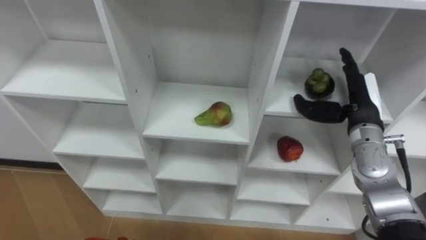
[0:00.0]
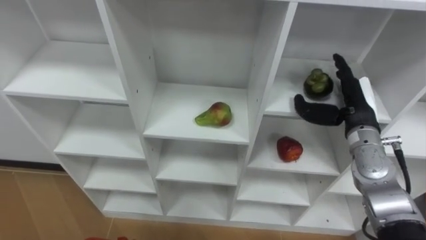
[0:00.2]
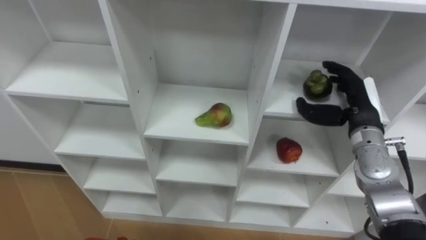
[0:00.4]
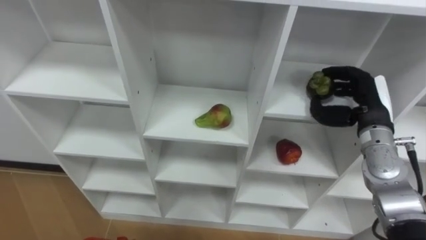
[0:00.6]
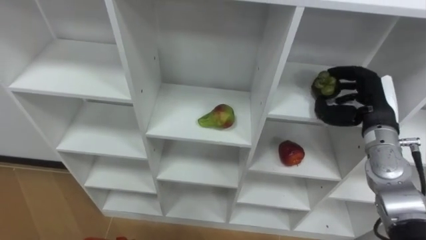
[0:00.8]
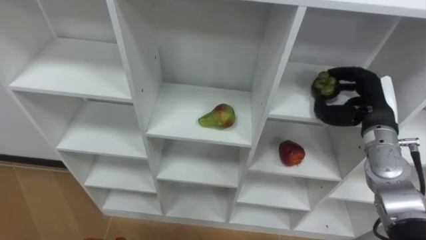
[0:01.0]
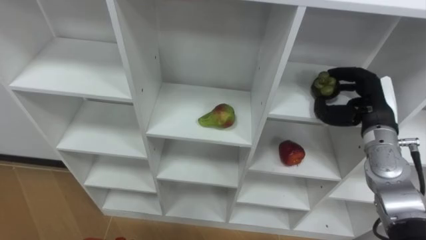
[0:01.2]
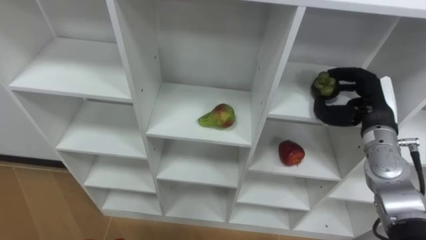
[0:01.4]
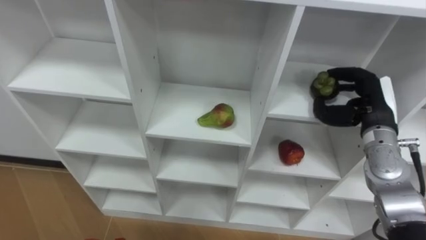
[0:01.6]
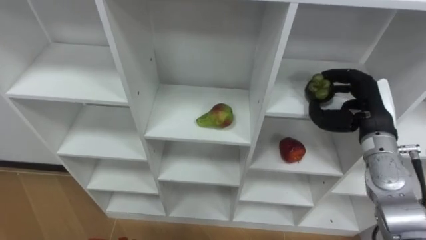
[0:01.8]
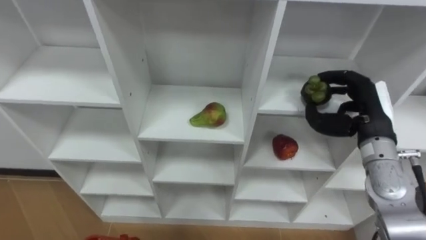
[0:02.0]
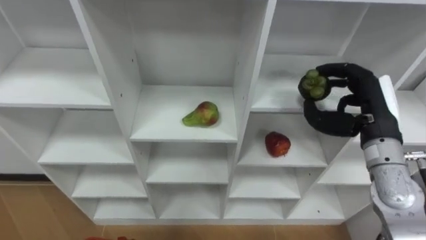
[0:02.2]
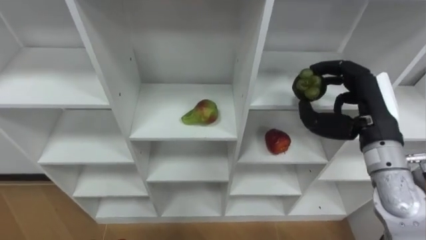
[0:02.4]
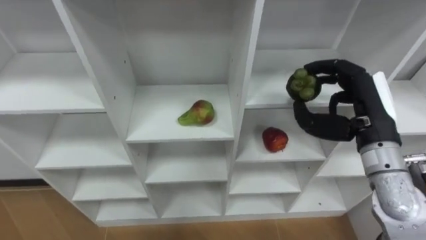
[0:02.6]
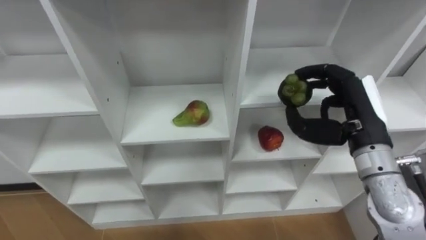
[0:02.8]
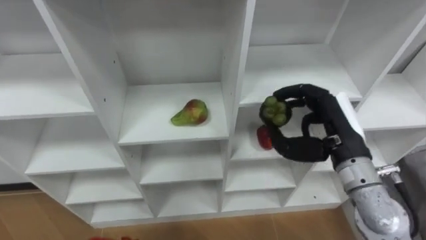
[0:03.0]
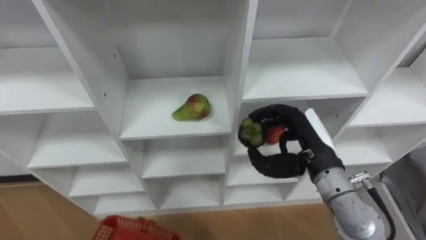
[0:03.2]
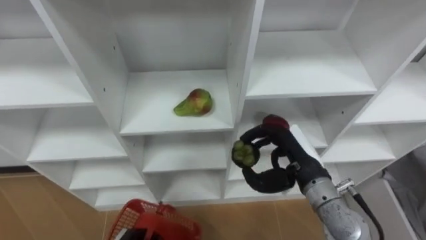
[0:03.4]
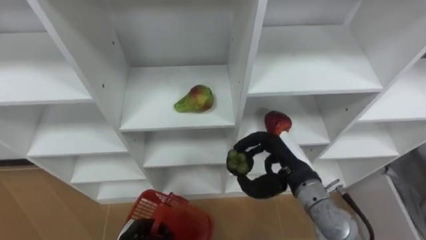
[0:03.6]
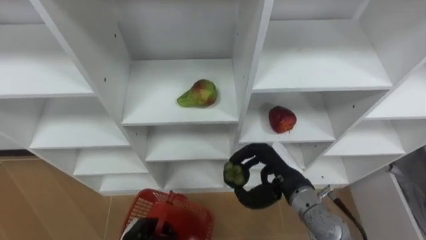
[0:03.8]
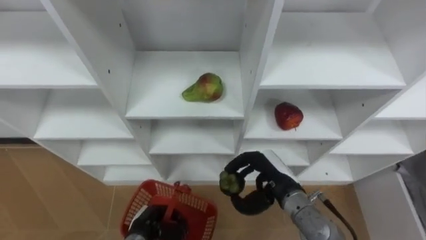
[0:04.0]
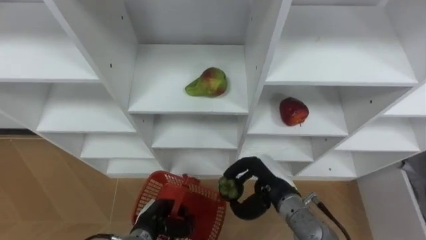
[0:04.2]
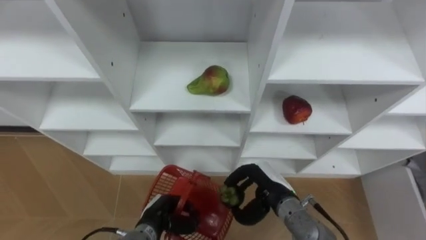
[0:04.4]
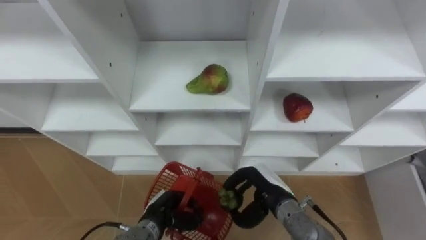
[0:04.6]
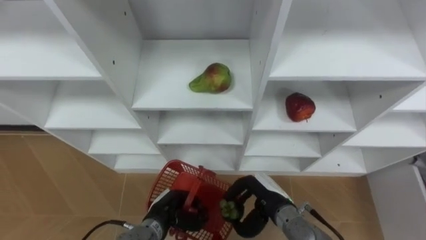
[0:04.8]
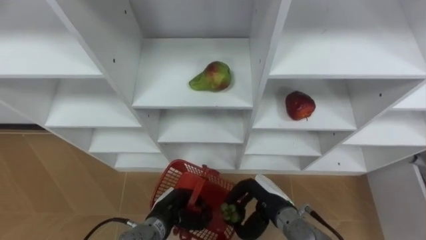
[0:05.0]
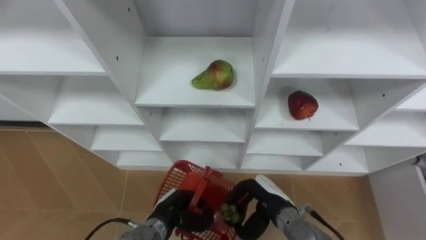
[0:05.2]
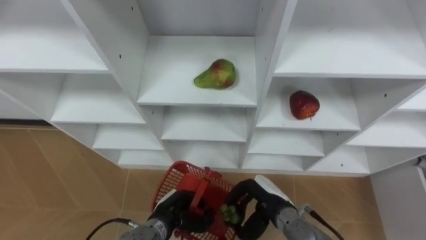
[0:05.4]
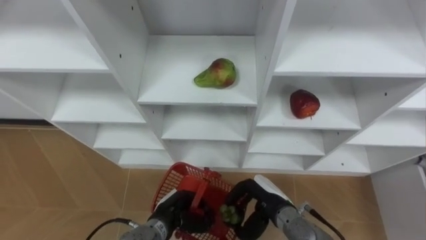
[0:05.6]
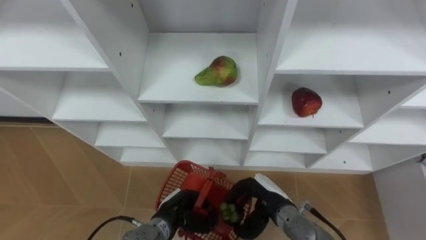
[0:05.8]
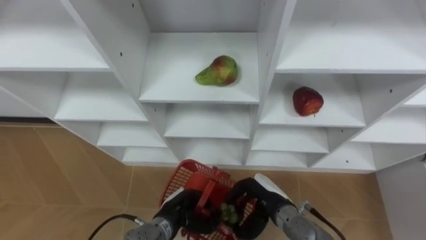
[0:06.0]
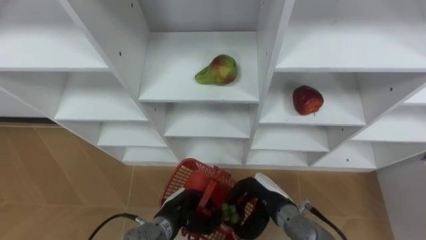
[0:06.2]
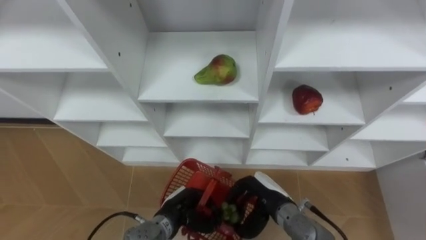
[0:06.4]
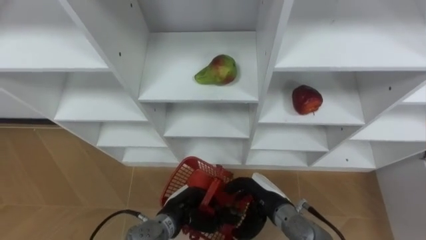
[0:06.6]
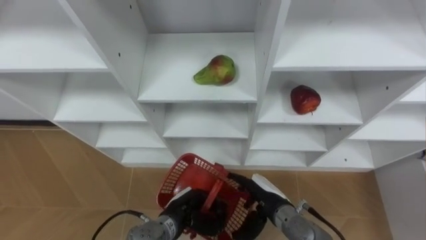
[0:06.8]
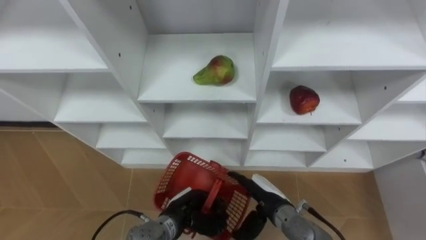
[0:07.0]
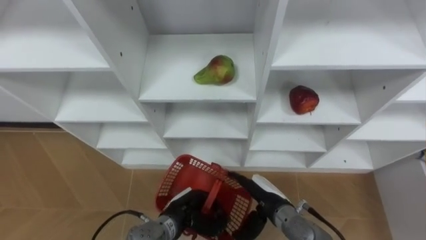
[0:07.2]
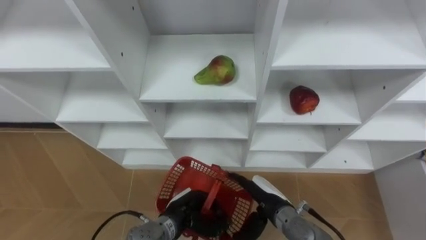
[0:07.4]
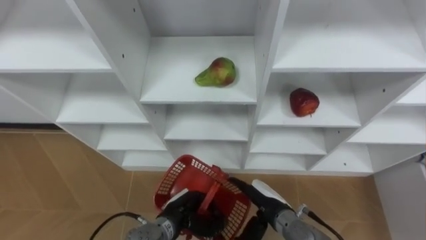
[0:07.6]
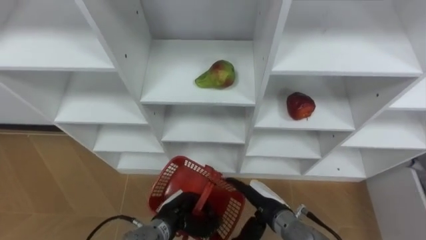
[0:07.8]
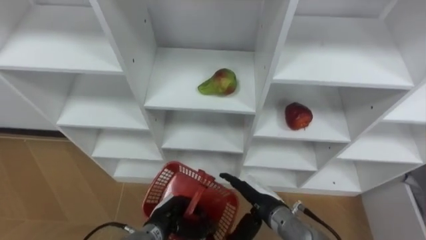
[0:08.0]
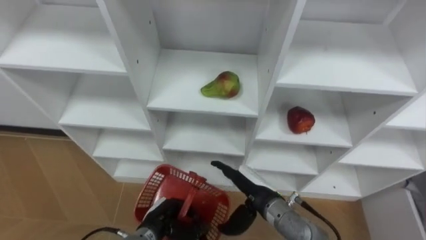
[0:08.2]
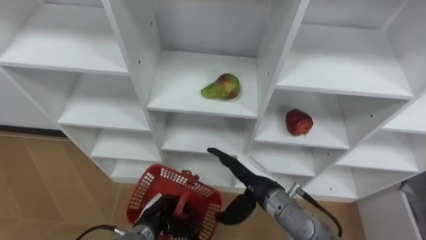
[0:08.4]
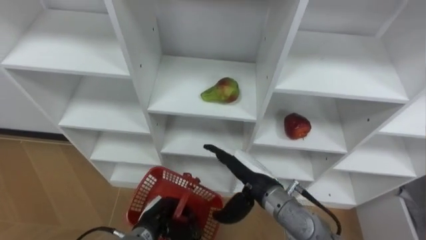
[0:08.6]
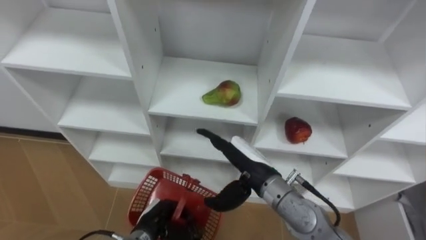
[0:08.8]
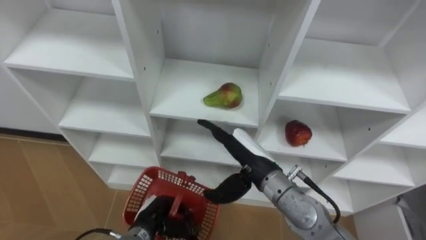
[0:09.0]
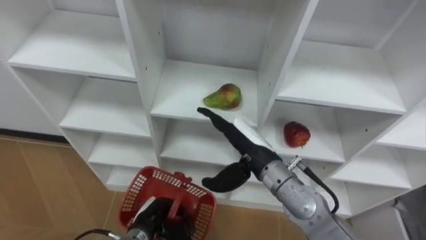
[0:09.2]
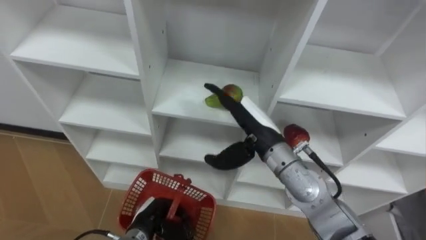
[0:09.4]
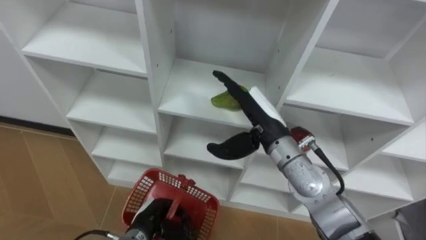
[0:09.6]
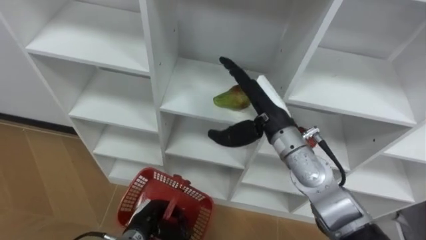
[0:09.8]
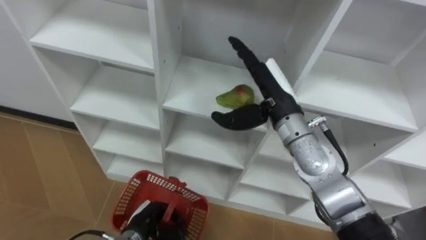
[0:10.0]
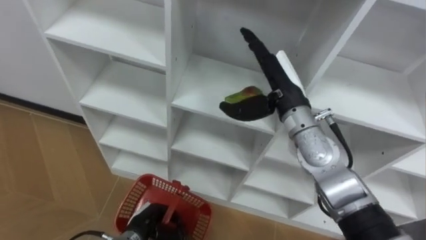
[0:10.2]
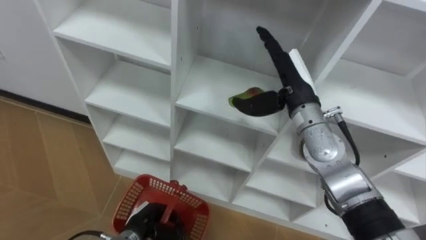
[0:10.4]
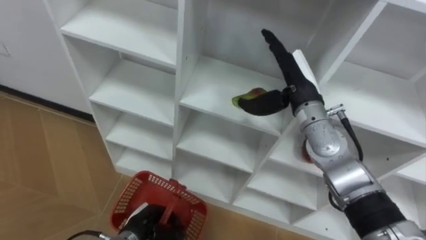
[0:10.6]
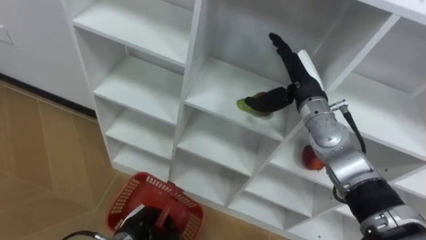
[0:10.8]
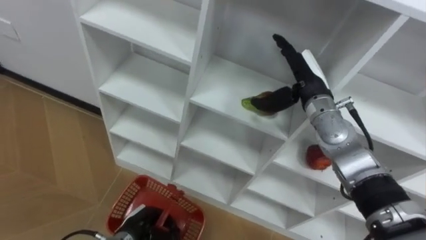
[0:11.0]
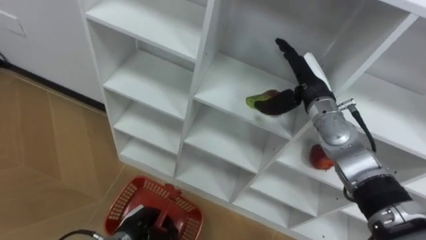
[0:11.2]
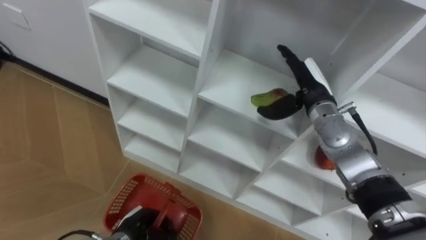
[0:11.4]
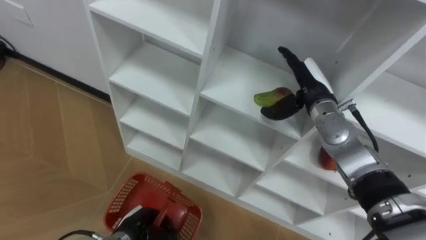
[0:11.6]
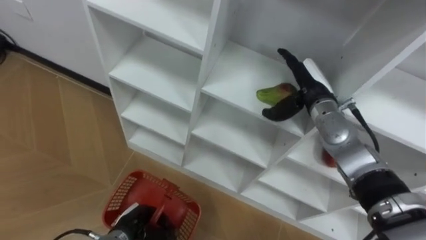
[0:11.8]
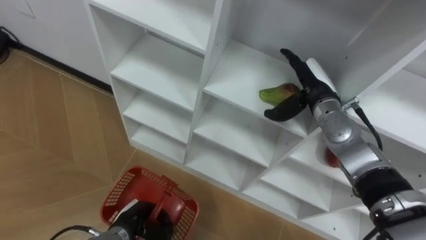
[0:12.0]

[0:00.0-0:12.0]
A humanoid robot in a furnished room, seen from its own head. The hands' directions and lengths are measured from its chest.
Task of the whole recording: Hold the basket and collect the fruits from 3 different cells of the closet into it.
0:00.0 to 0:01.6: The right hand closes its fingers.
0:01.6 to 0:03.0: The right hand goes approximately 10 cm to the left and backward.
0:03.0 to 0:04.4: The right hand travels downward and to the left by some 20 cm.
0:06.0 to 0:07.6: The right hand opens its fingers.
0:07.6 to 0:09.0: The left hand goes some 5 cm to the left. The right hand goes approximately 15 cm upward.
0:09.0 to 0:10.4: The right hand heads forward, upward and to the right, covering roughly 15 cm.
0:10.4 to 0:12.0: The right hand is displaced to the right by some 5 cm.

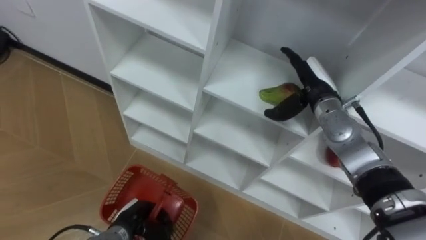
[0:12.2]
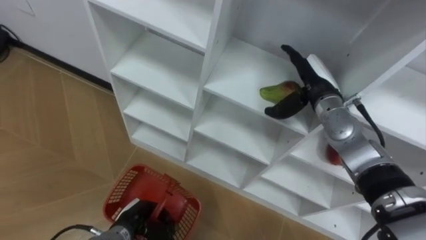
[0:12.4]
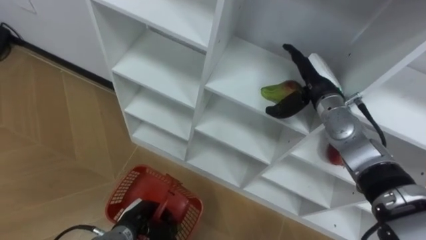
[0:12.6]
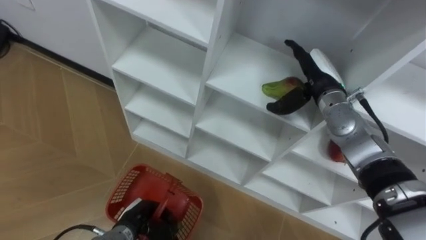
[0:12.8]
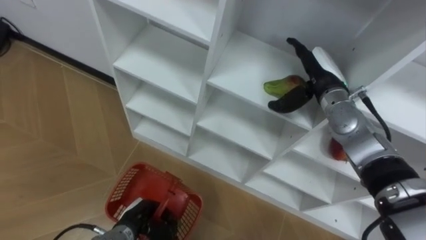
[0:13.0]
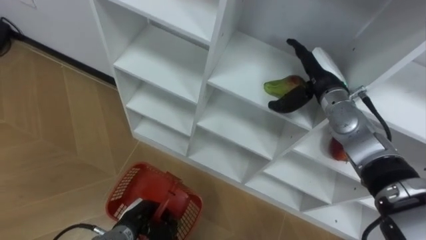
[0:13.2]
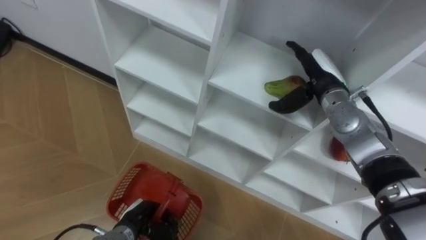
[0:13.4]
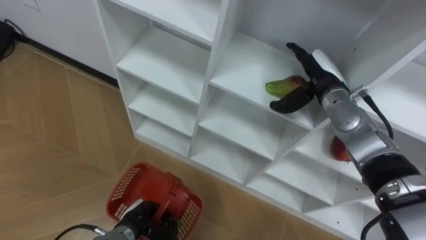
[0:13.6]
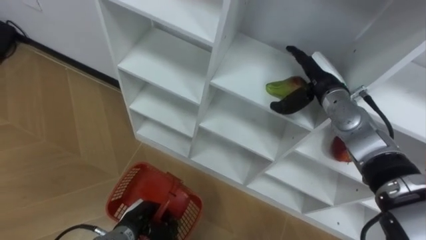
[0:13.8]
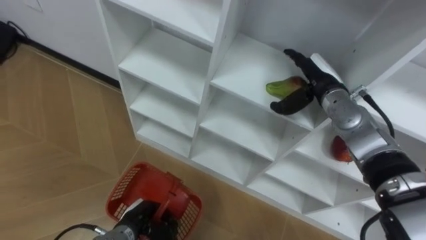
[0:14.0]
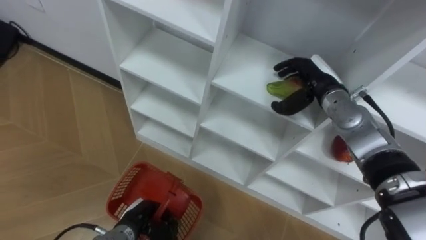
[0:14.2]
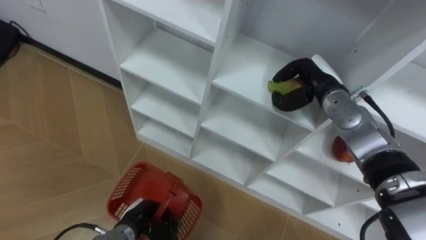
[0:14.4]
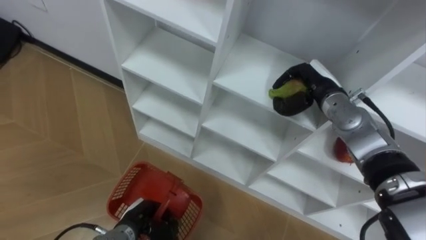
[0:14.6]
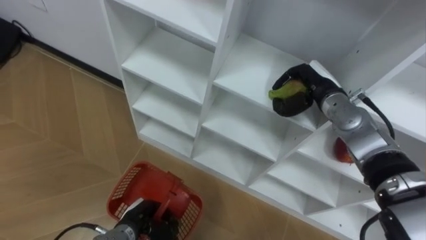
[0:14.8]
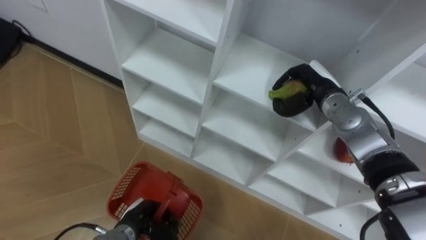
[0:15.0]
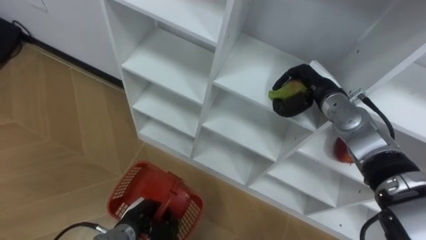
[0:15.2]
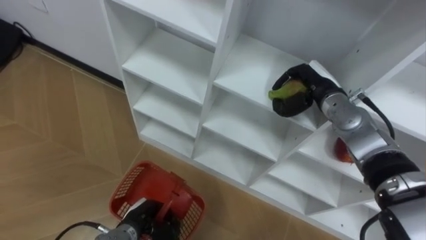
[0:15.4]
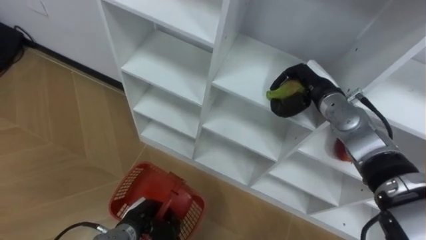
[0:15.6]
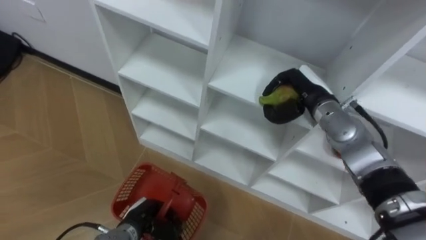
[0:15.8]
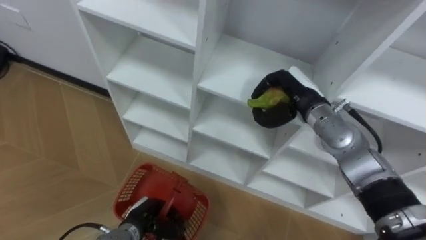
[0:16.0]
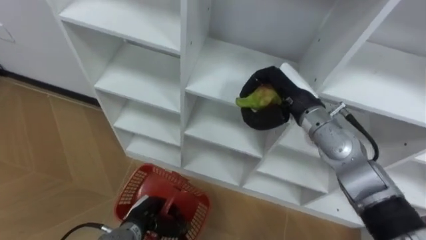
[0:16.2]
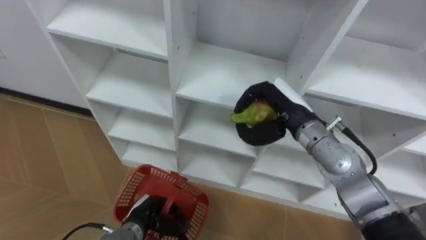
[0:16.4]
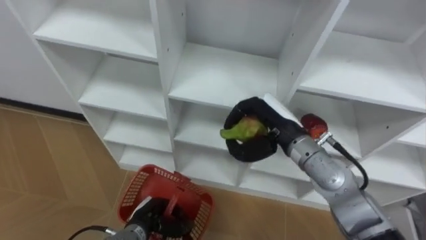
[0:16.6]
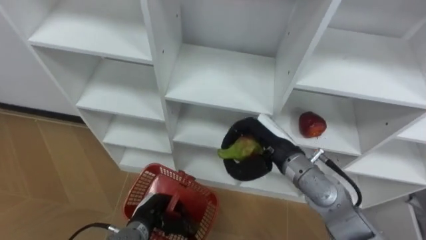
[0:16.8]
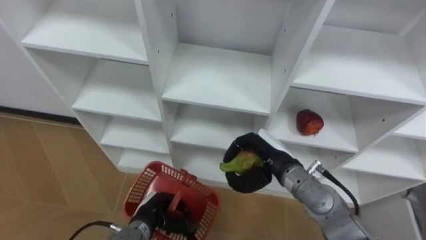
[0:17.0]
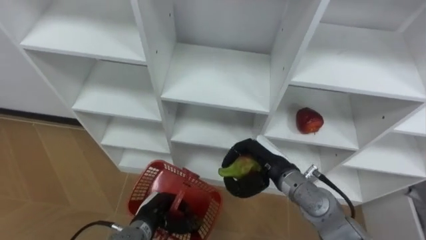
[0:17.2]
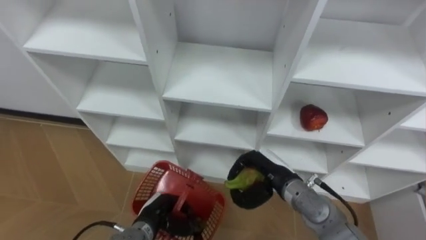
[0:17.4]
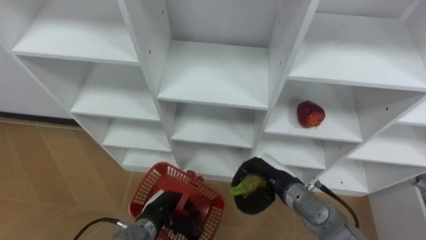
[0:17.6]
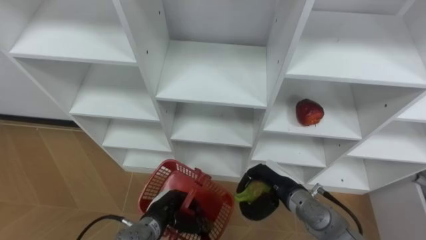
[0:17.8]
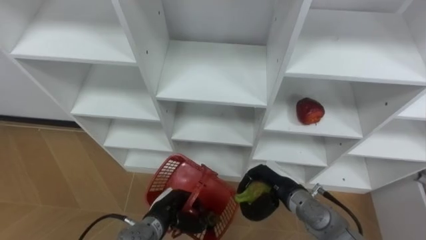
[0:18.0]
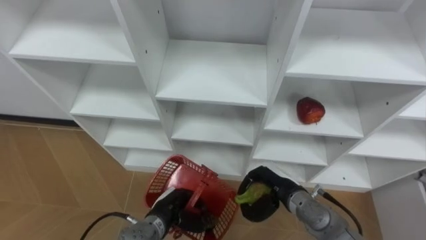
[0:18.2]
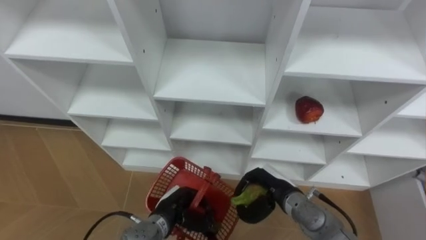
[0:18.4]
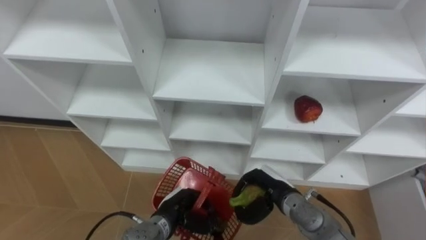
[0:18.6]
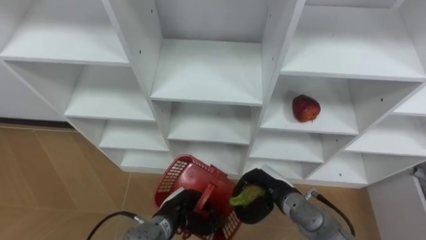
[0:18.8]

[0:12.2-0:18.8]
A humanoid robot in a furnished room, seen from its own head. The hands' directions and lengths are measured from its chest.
Task of the whole recording: Hold the basket and collect the fruits from 3 different cells of the closet into it.
0:13.8 to 0:15.4: The right hand closes up.
0:15.4 to 0:17.2: The right hand moves backward, to the left and downward, approximately 20 cm.
0:17.2 to 0:18.8: The left hand moves to the right, approximately 5 cm; the right hand heads downward, covering some 5 cm.
